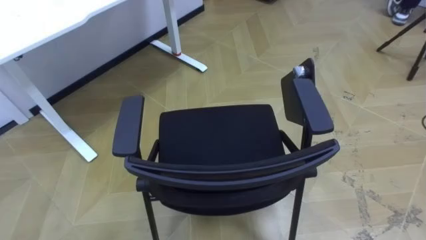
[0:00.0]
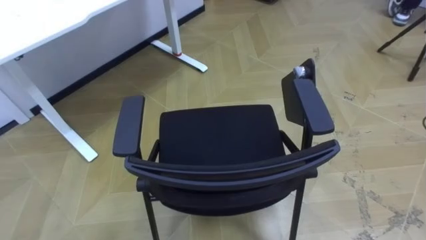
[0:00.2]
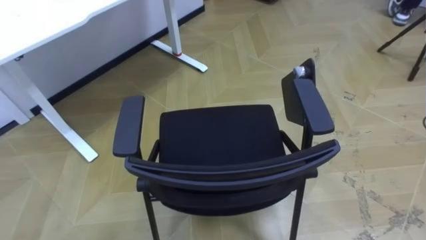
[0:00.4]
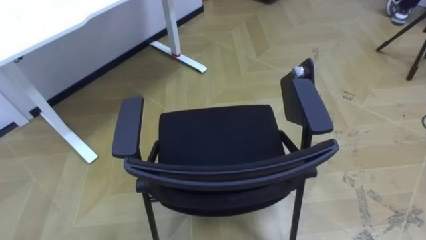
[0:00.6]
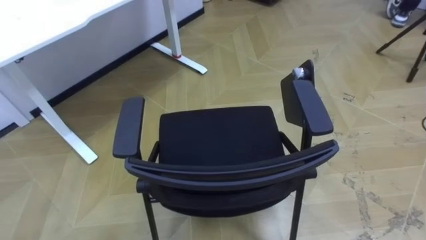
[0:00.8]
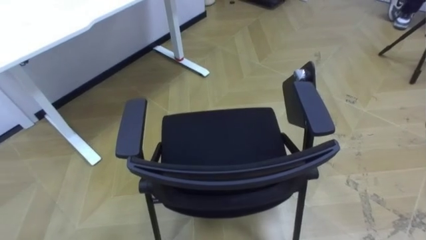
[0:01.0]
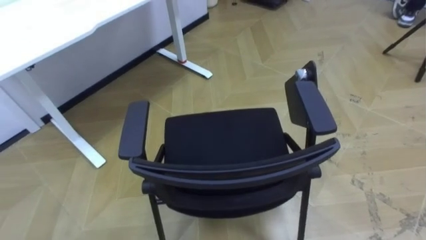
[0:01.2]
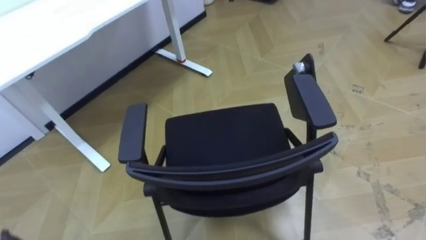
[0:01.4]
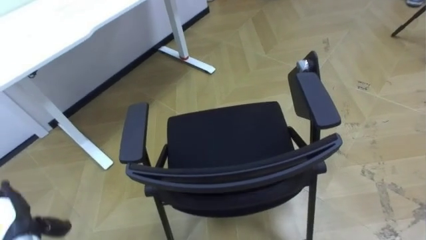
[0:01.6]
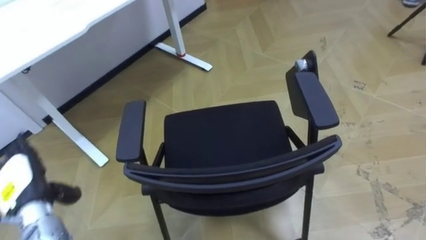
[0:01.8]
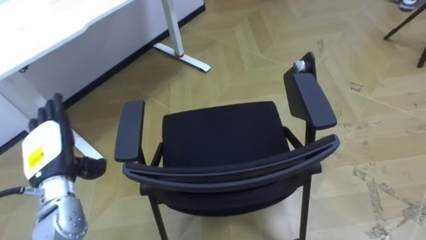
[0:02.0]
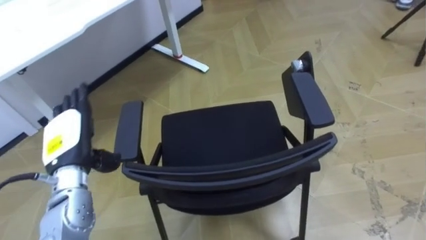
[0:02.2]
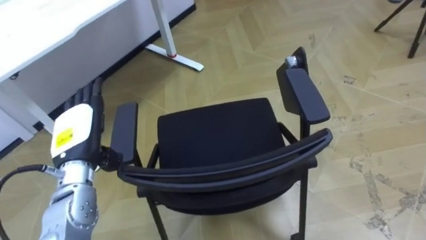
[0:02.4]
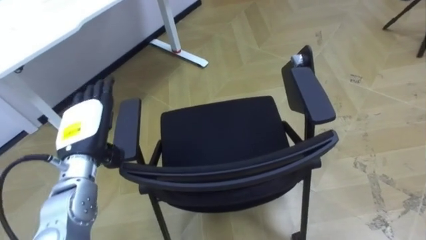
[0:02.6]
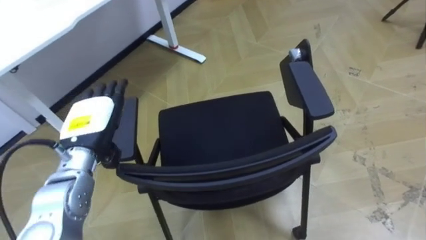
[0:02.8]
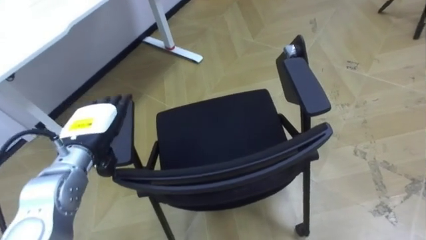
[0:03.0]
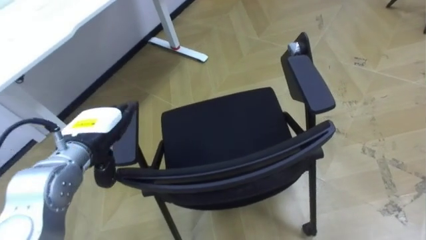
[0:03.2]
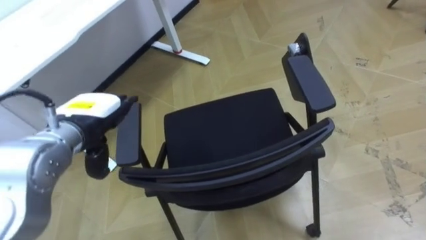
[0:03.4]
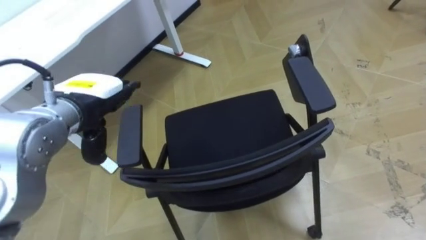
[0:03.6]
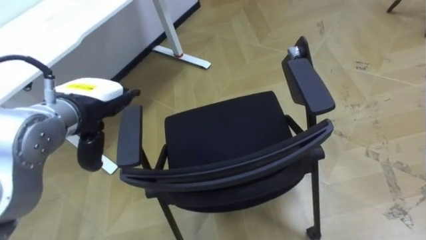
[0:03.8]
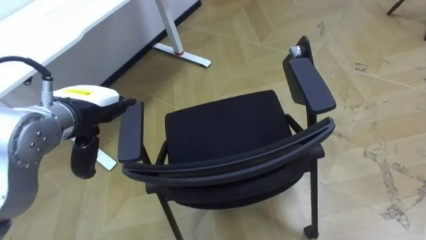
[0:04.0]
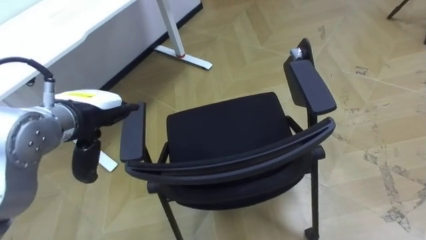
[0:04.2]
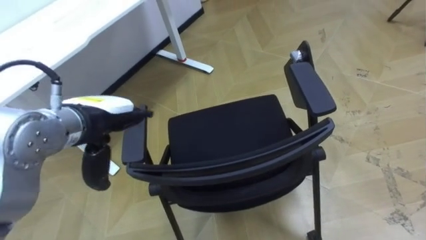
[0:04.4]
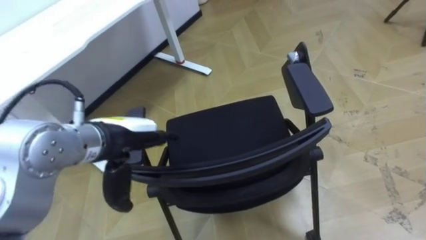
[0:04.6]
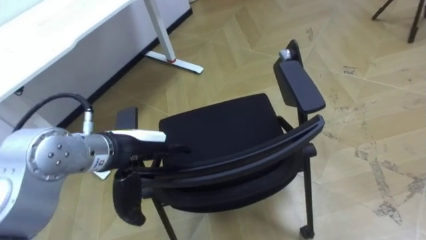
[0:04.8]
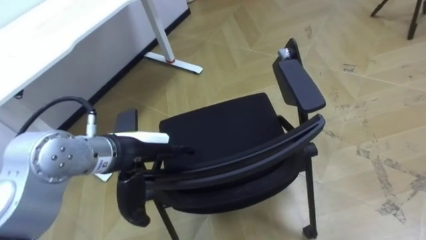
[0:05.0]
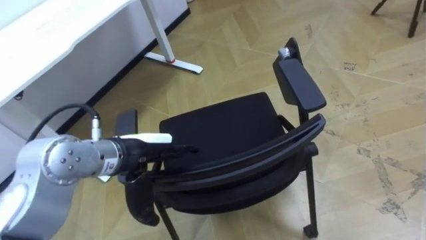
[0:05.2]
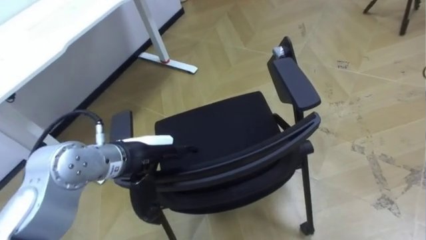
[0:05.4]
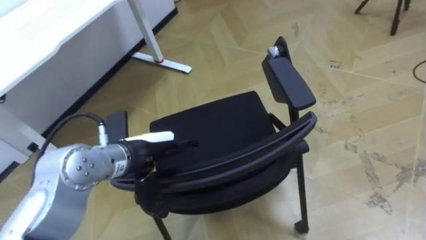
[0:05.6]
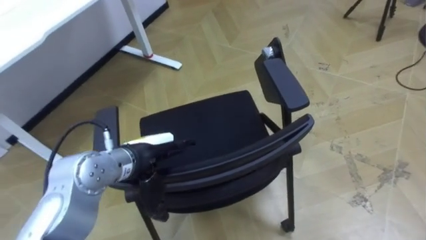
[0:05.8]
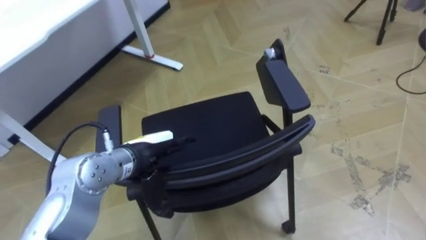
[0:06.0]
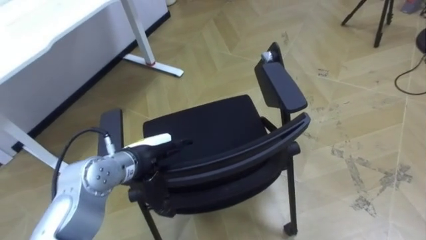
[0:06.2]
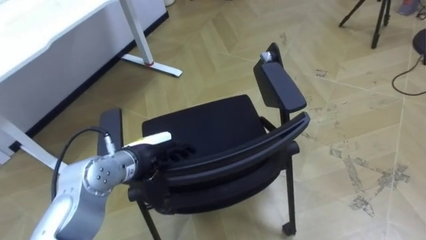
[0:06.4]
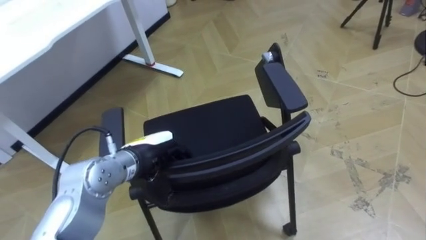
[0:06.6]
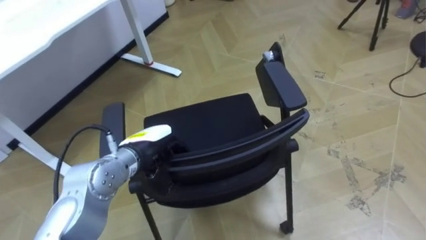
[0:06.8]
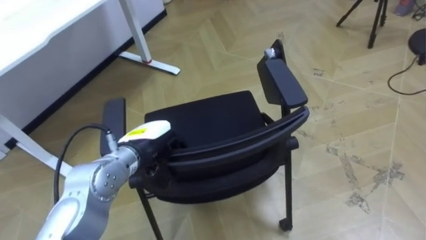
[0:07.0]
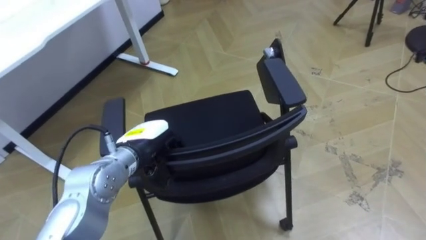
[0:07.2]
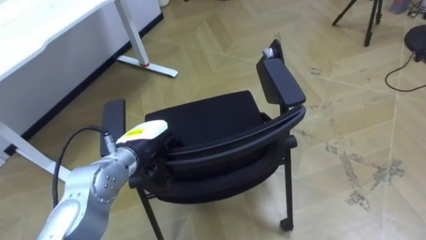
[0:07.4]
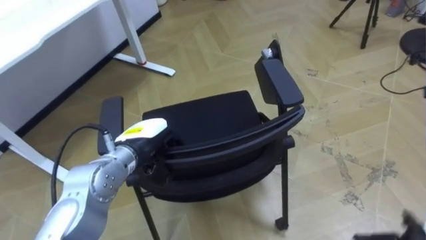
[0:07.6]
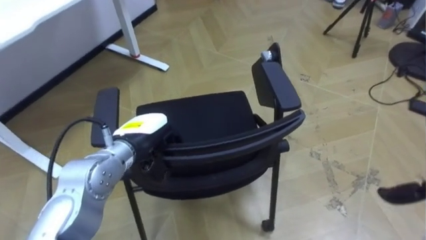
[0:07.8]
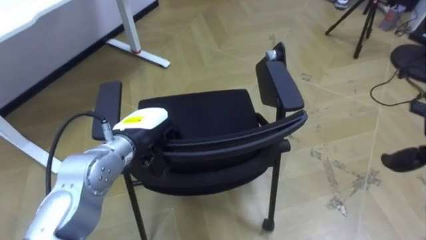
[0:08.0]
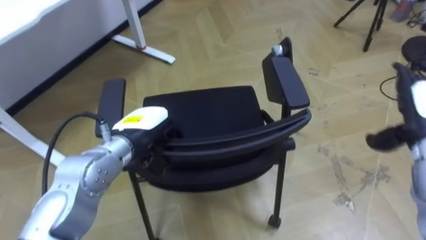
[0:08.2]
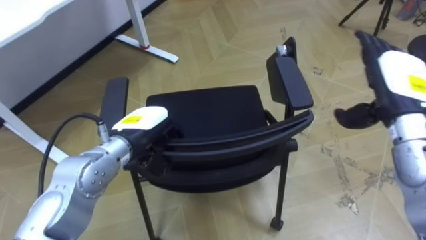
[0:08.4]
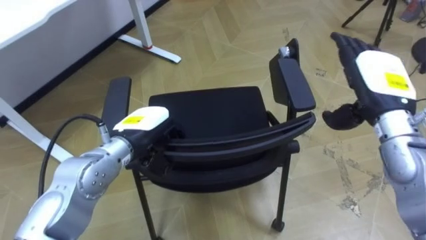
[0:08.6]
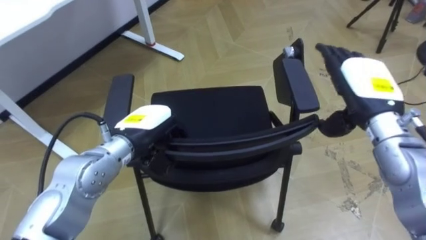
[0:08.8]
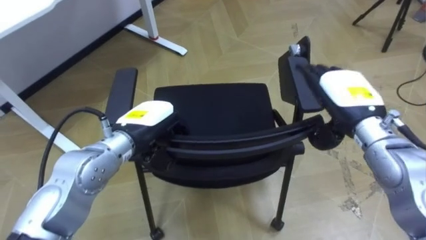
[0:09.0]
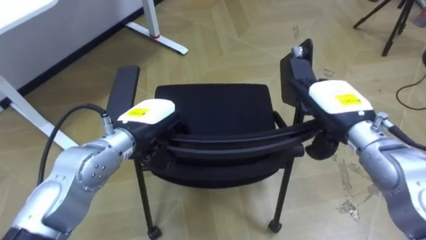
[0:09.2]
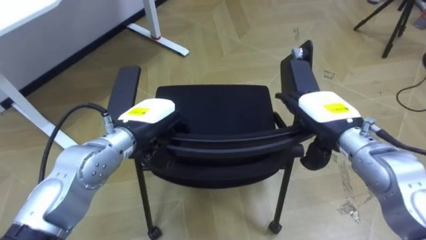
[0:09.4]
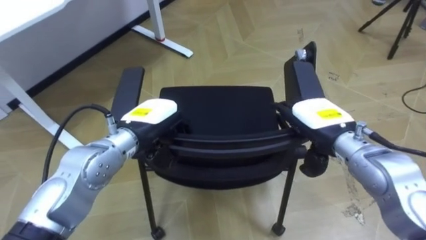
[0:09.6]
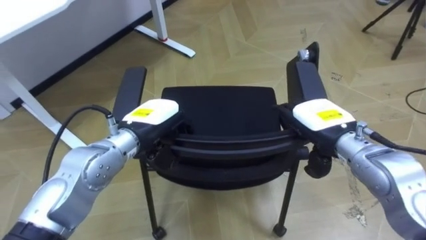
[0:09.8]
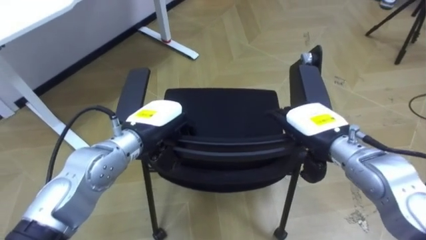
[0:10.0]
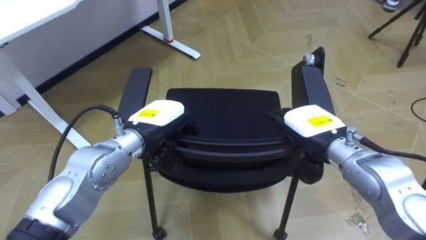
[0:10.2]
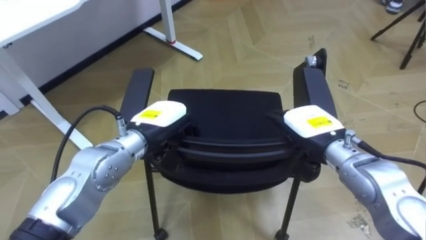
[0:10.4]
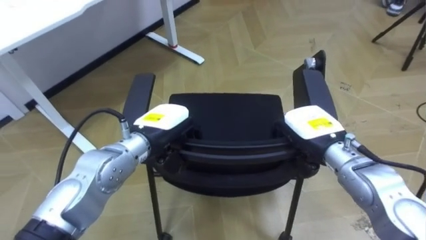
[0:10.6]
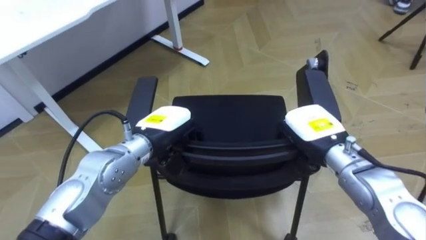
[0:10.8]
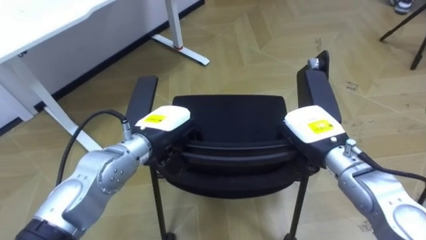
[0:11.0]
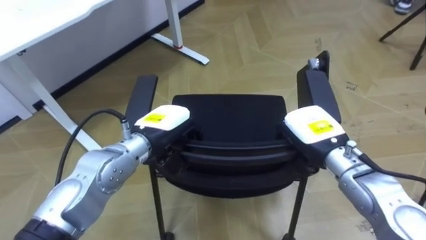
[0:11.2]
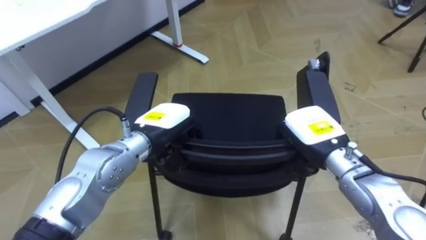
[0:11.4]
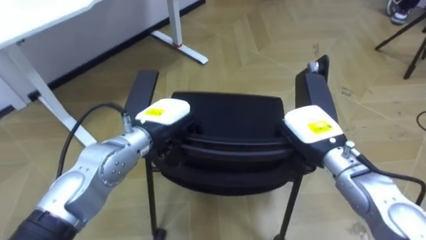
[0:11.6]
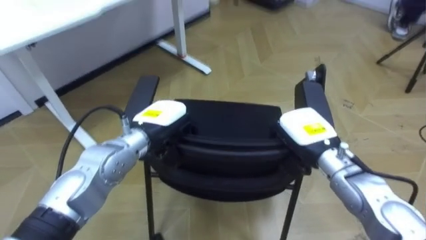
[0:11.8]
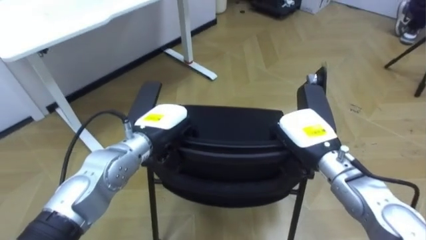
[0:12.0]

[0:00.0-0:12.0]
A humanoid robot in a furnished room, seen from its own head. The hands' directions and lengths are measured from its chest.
Task of the whole recording: Push the chair under the table.
0:01.6 to 0:03.0: The left hand heads to the right, upward and forward, covering about 25 cm.
0:03.0 to 0:04.4: The left hand travels upward by about 5 cm.
0:04.4 to 0:06.0: The left hand travels downward and to the right by approximately 10 cm.
0:06.0 to 0:07.6: The left hand closes its fingers.
0:09.0 to 0:10.4: The right hand moves downward, approximately 5 cm.
0:10.4 to 0:12.0: The right hand closes up.

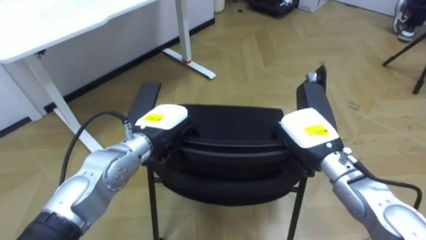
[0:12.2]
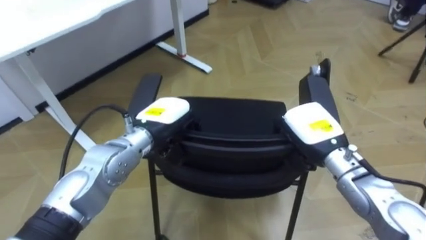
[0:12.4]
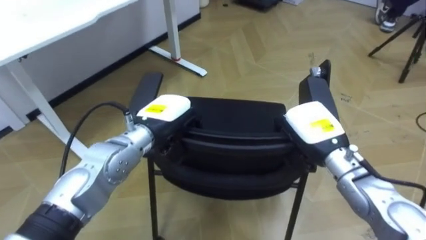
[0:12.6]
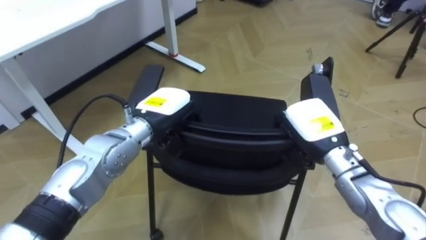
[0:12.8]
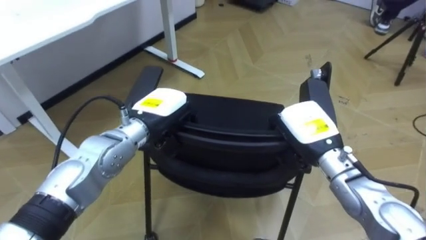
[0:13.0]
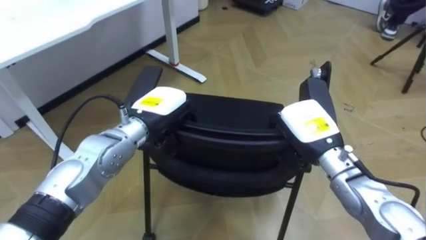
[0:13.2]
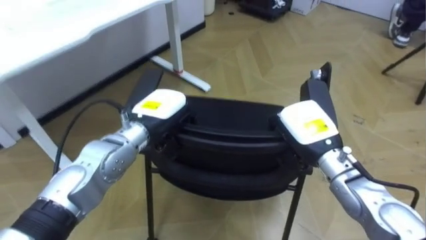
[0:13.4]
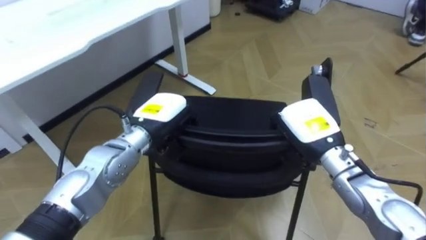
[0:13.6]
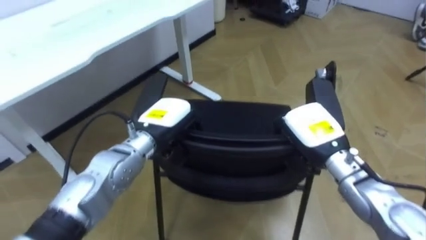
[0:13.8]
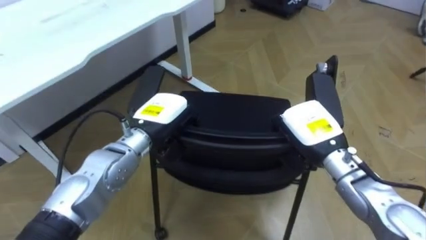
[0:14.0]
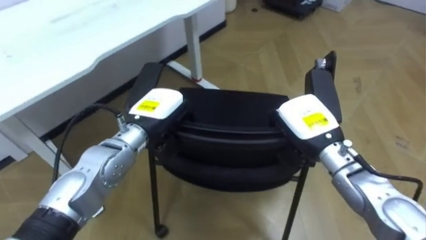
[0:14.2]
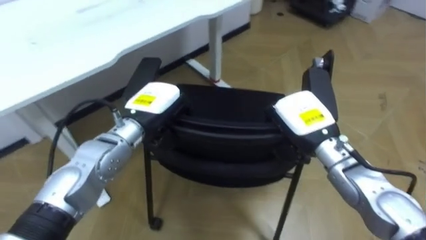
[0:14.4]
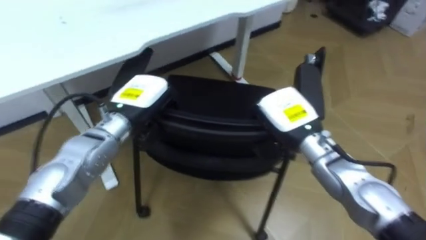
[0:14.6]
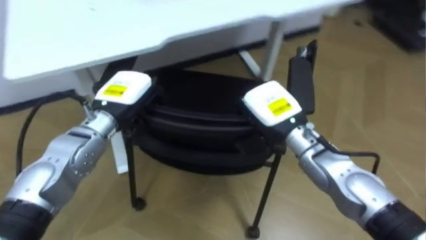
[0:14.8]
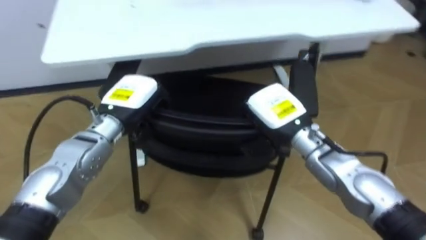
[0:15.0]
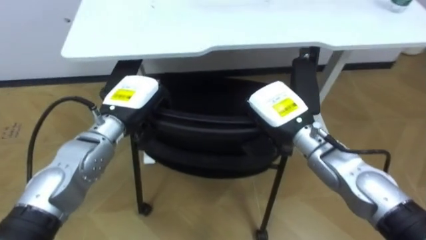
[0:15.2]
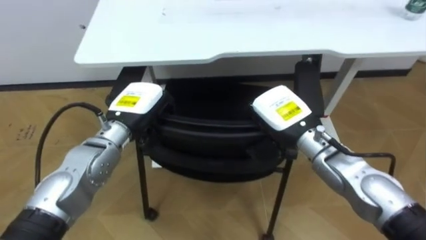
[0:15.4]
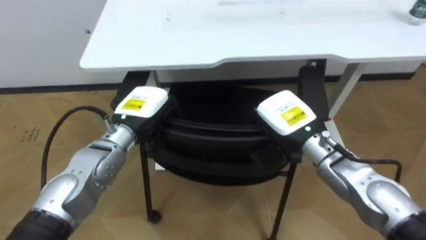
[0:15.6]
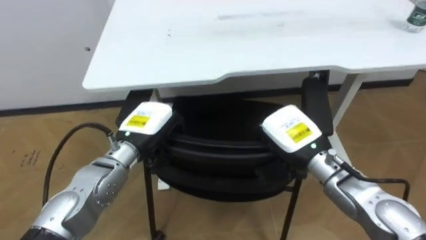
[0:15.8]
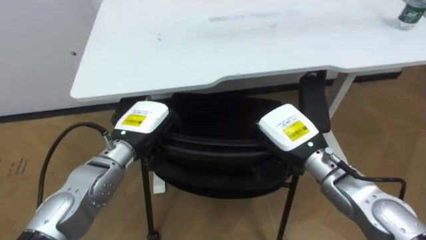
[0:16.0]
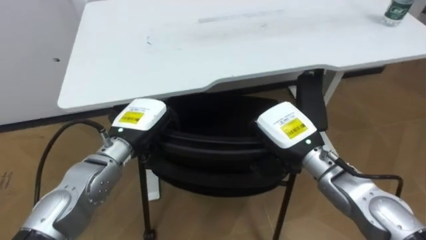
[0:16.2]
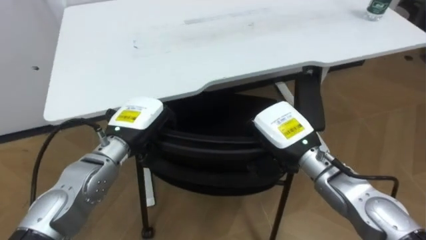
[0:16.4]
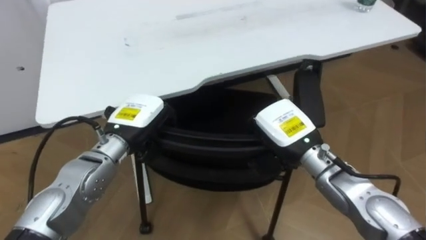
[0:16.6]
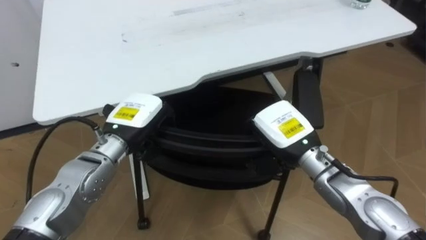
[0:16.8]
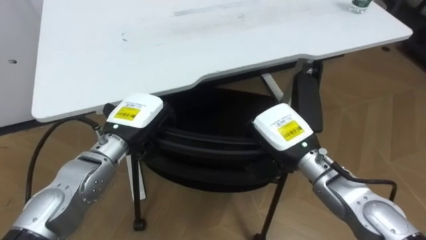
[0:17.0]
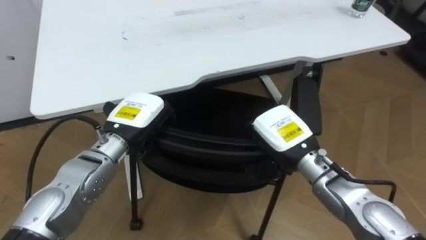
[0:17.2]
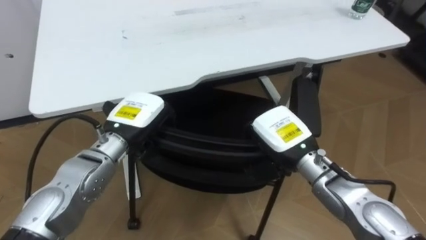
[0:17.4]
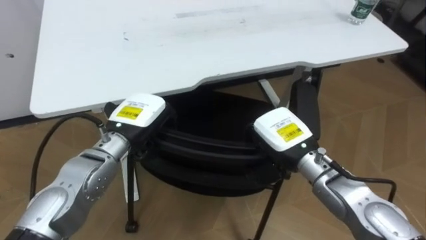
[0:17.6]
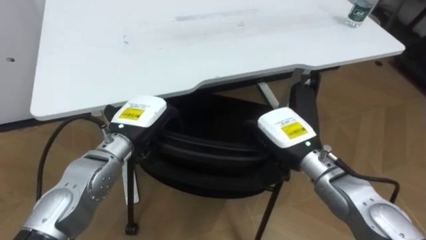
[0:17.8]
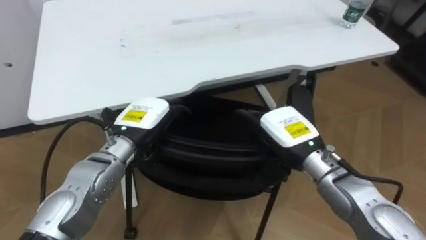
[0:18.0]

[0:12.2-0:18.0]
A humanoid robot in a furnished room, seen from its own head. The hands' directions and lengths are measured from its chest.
Task of the whole recording: Push the chair under the table.
0:13.6 to 0:15.0: The hands both shift to the left by approximately 5 cm.
0:16.6 to 0:18.0: The left hand opens up; the right hand opens up.
